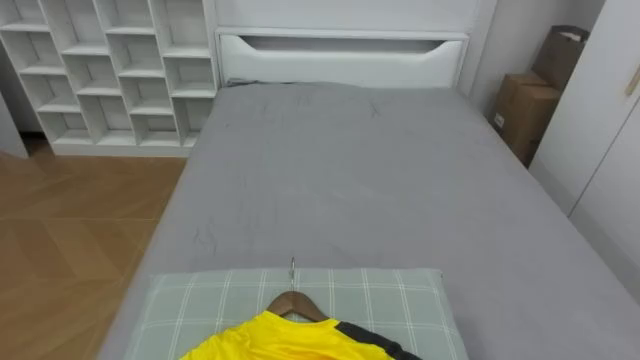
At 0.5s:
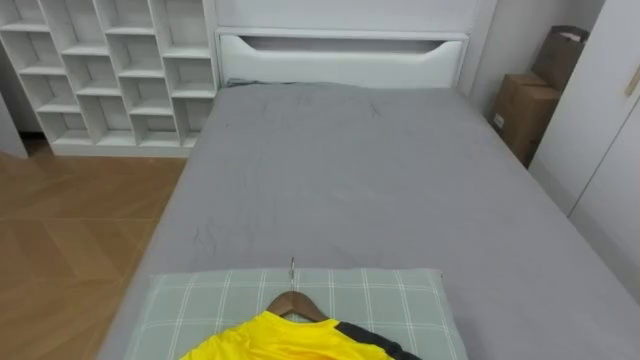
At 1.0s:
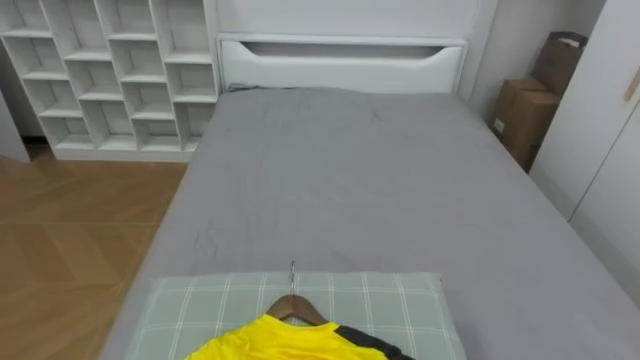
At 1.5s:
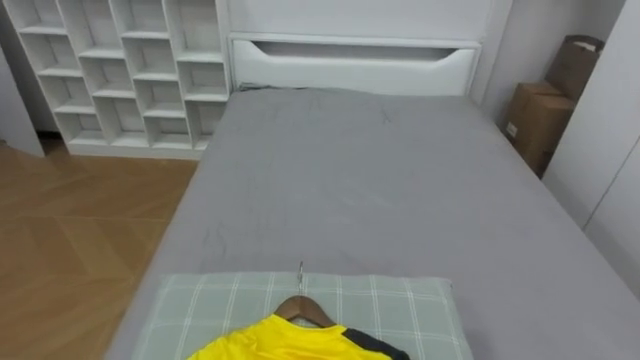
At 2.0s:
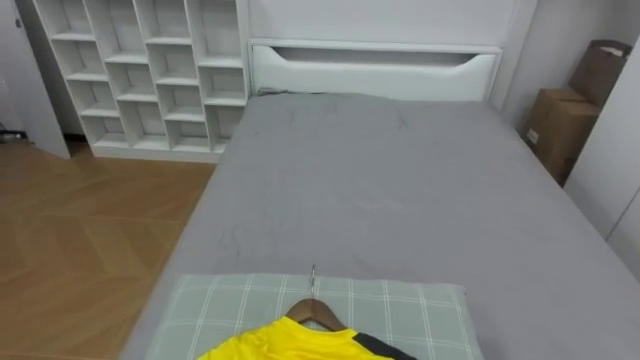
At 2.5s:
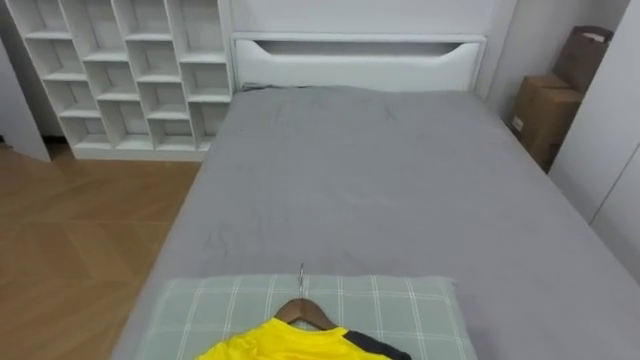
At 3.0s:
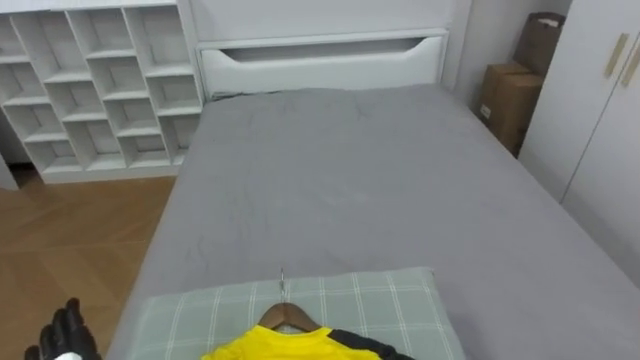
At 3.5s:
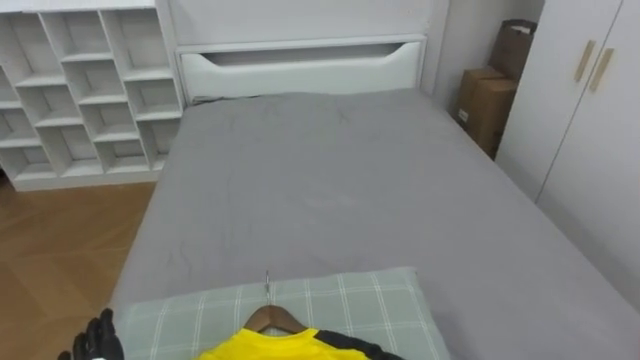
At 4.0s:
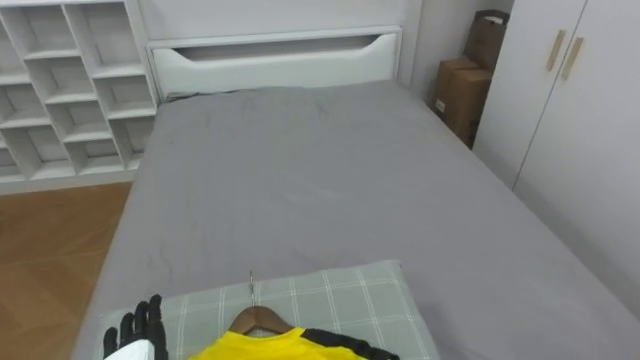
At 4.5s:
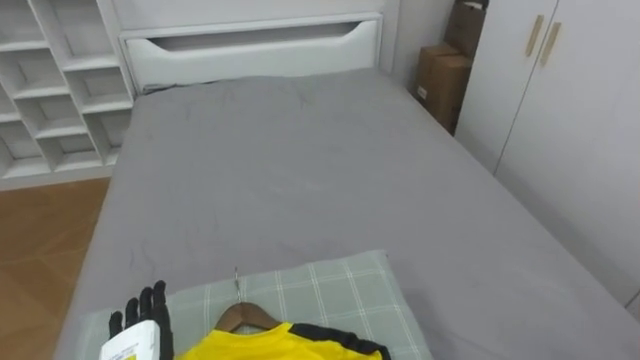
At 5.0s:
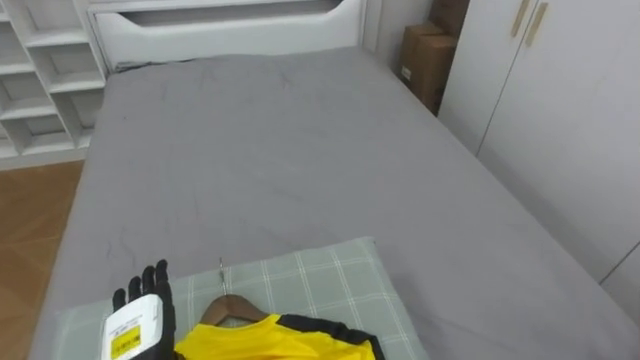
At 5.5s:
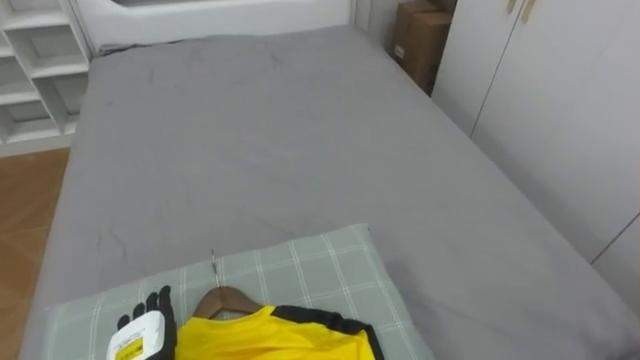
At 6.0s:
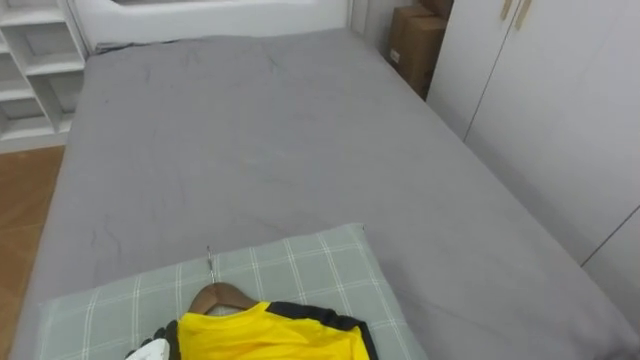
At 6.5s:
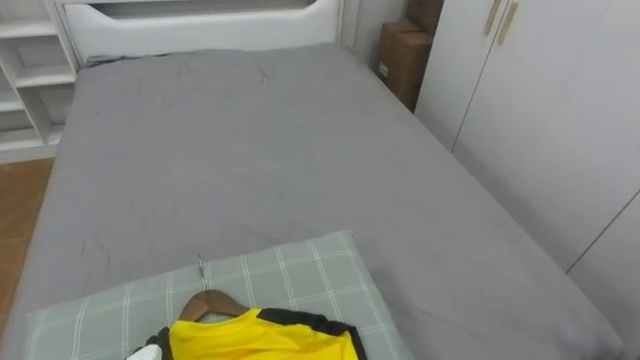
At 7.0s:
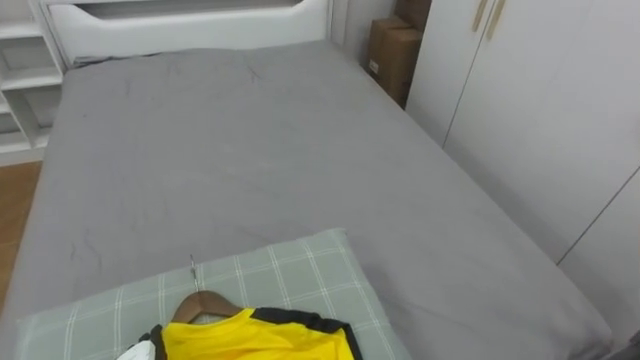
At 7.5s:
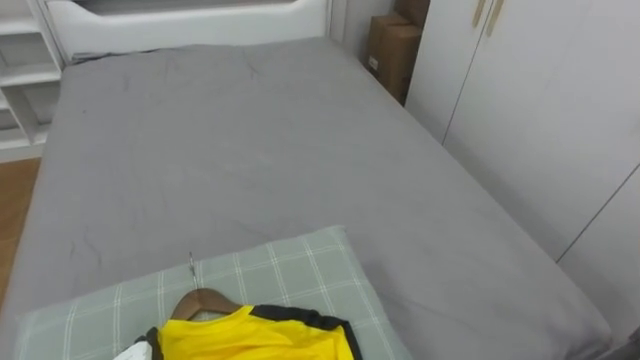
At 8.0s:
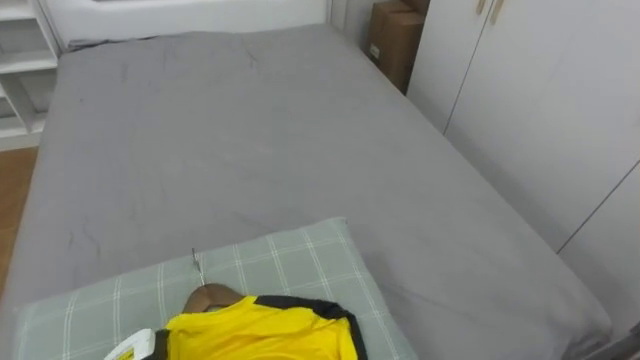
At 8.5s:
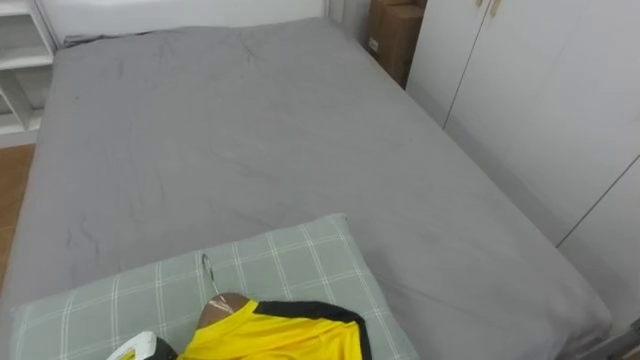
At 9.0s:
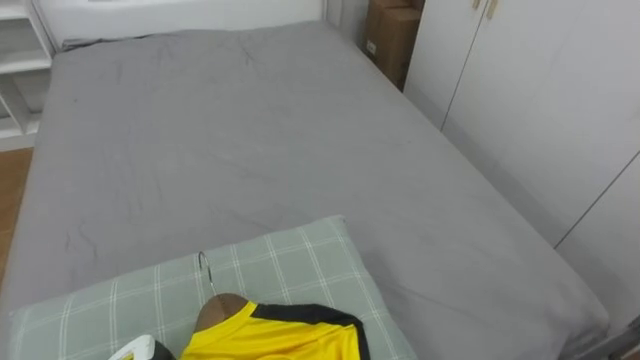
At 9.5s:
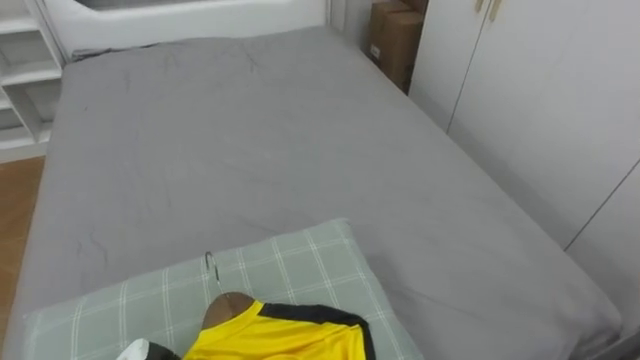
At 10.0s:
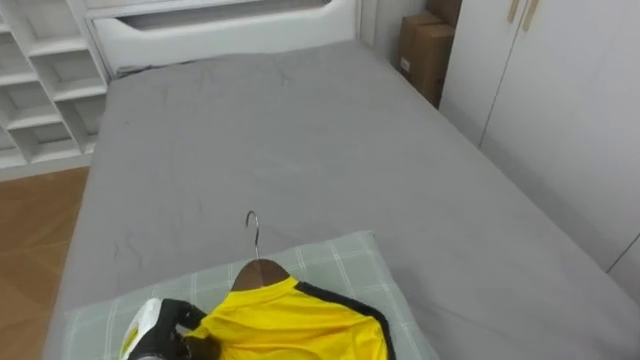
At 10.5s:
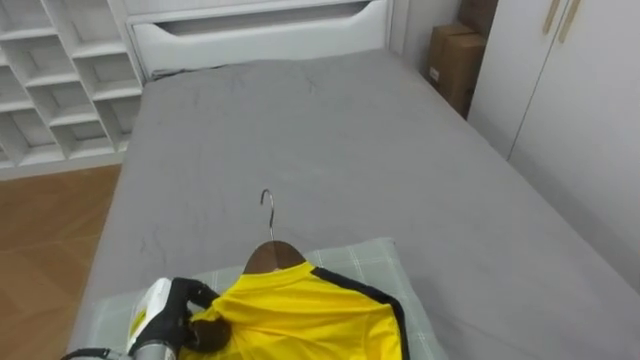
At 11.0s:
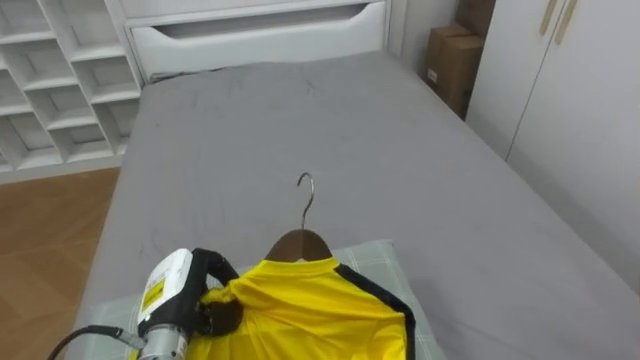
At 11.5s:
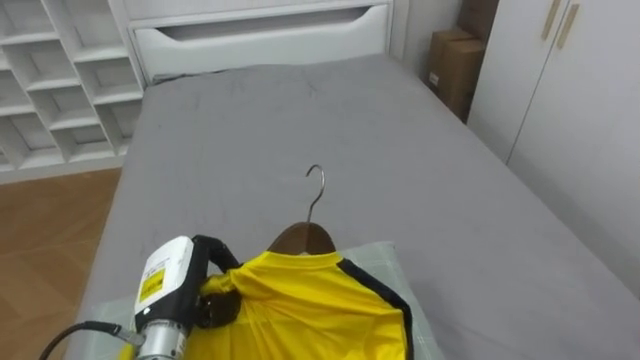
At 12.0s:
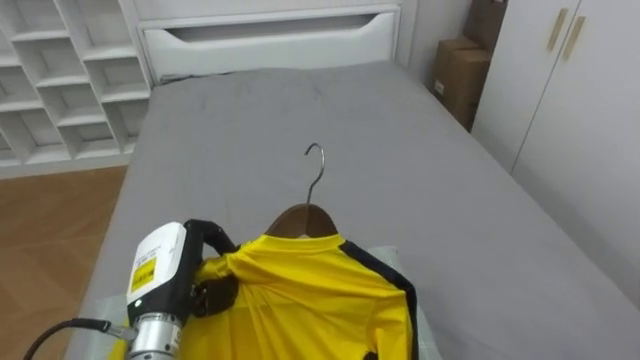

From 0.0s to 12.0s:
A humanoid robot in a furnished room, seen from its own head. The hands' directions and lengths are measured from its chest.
Task of the whole recording: Pick up the yellow shirt on the bed and hang it on the clothes rack on the right.
From 10.0s to 12.0s: The left hand shifts roughly 15 cm upward.

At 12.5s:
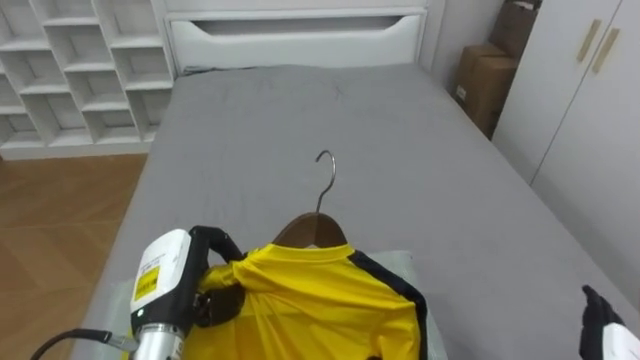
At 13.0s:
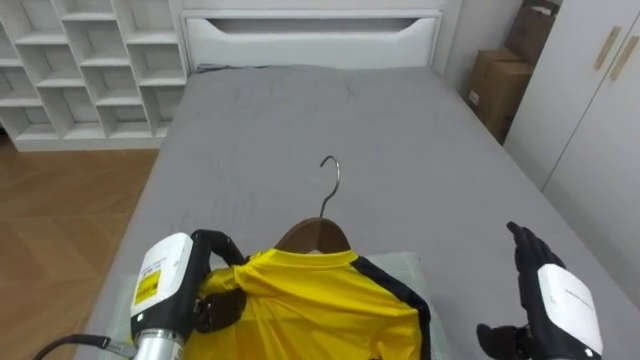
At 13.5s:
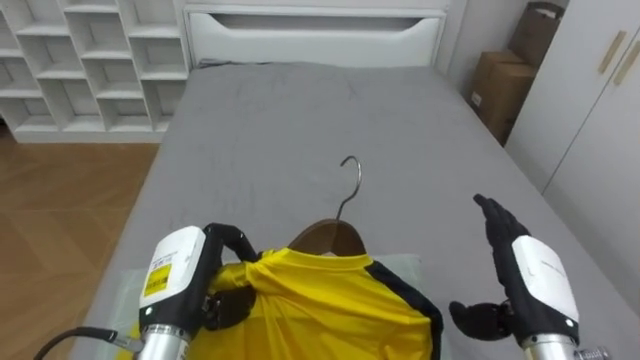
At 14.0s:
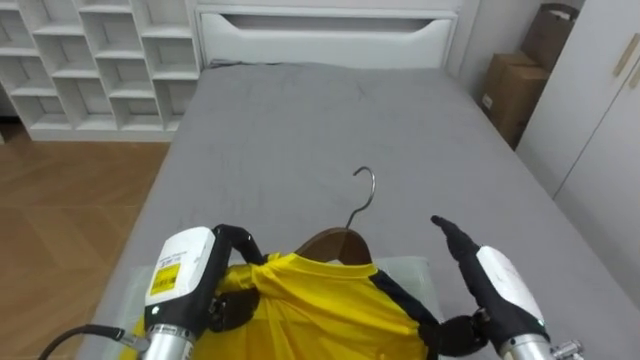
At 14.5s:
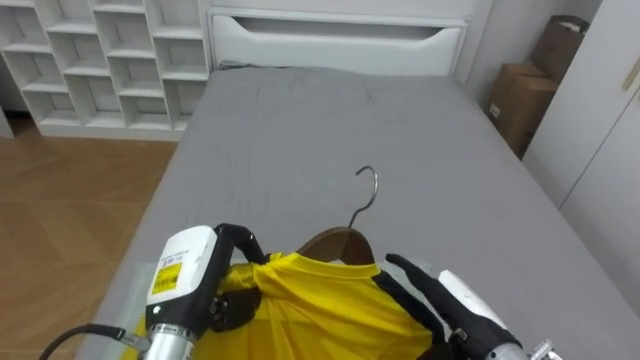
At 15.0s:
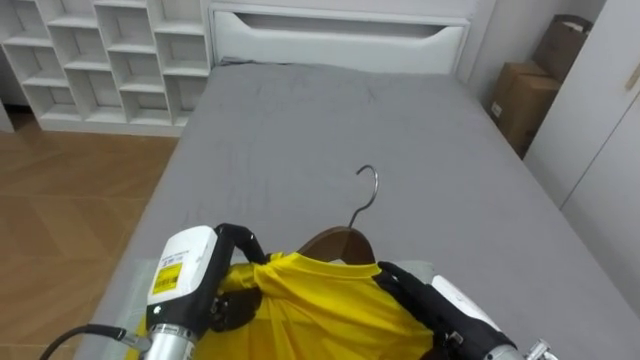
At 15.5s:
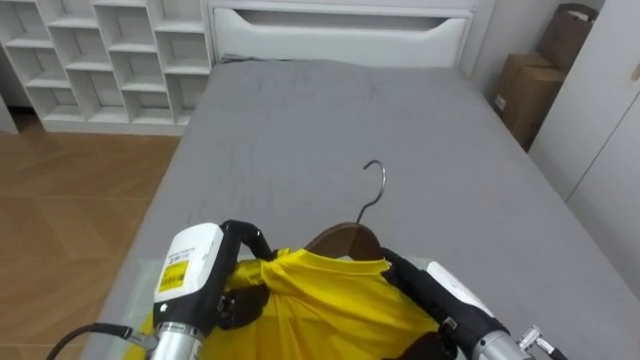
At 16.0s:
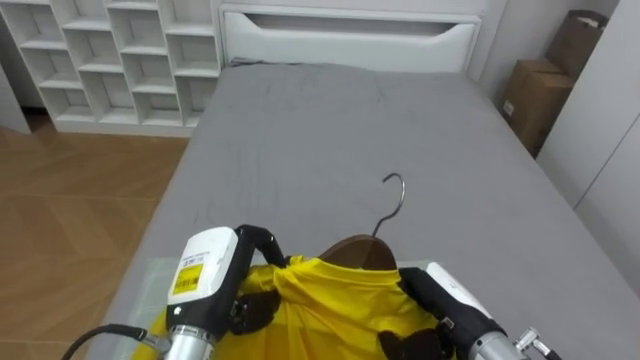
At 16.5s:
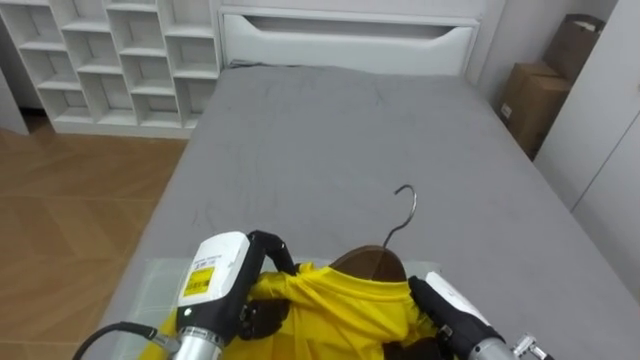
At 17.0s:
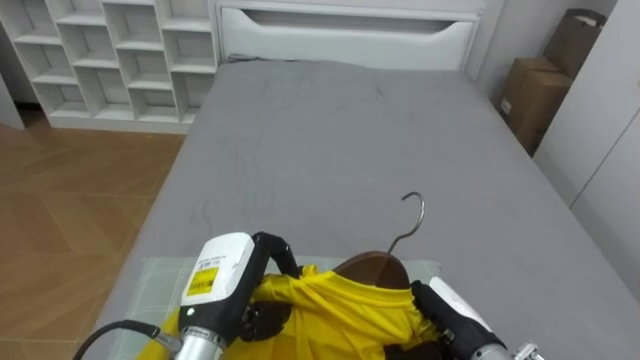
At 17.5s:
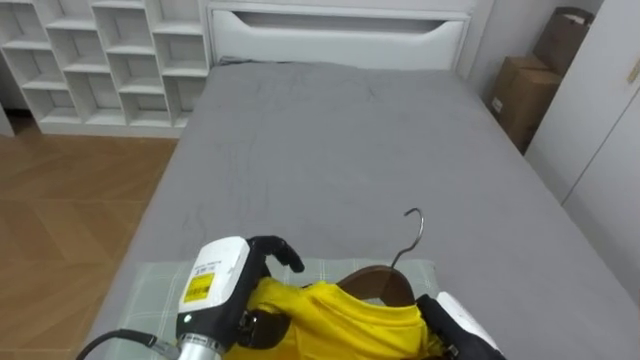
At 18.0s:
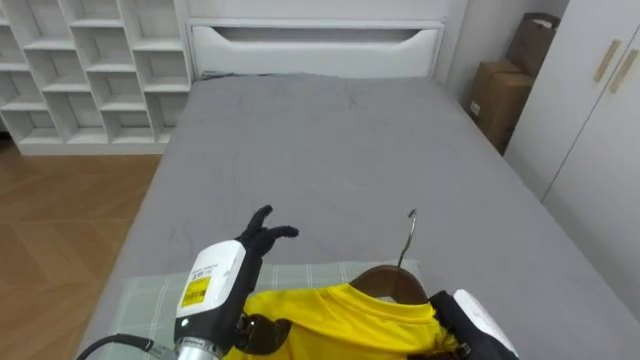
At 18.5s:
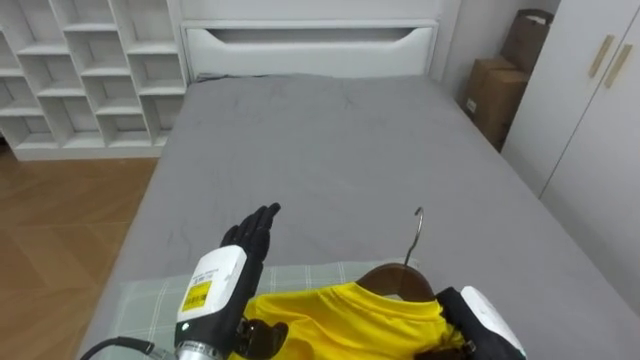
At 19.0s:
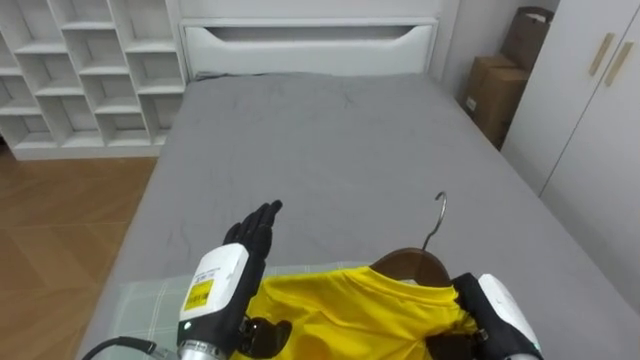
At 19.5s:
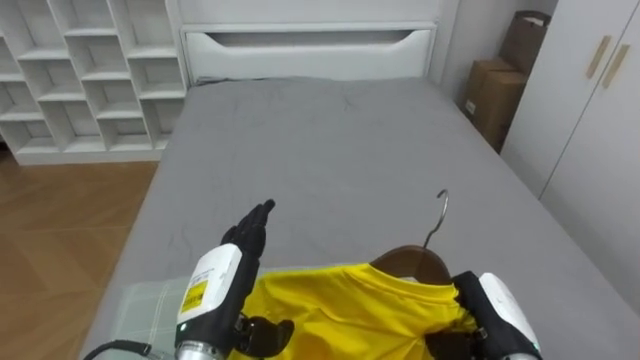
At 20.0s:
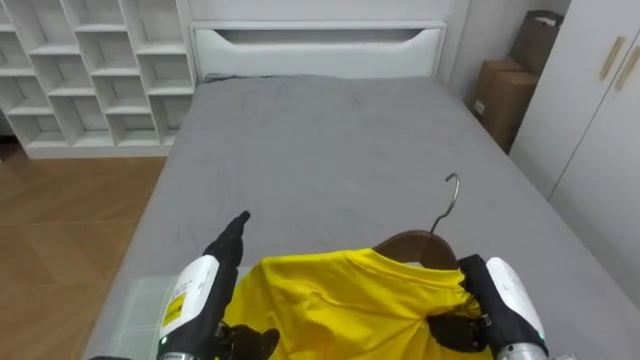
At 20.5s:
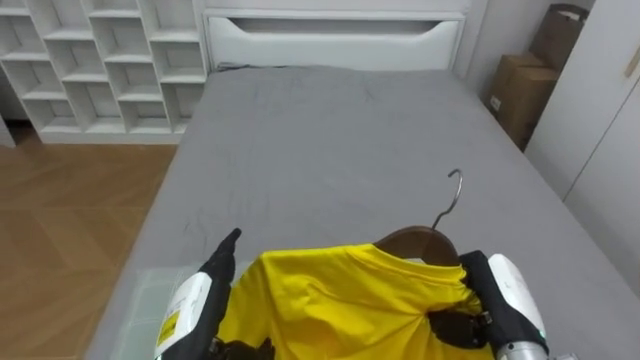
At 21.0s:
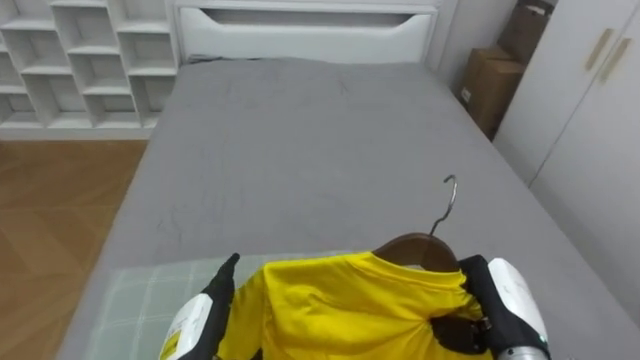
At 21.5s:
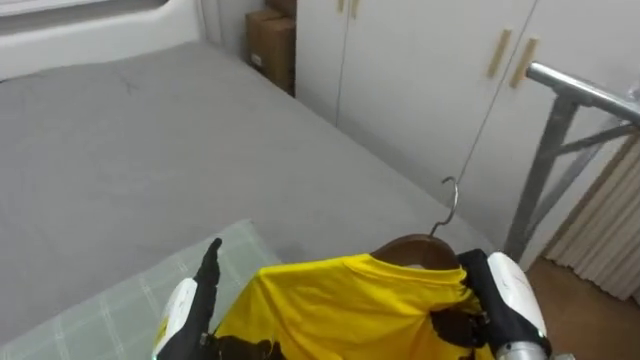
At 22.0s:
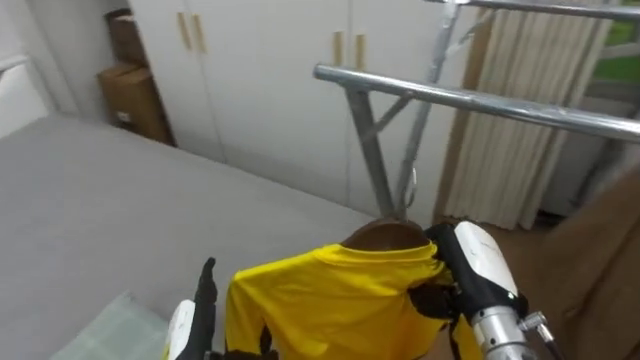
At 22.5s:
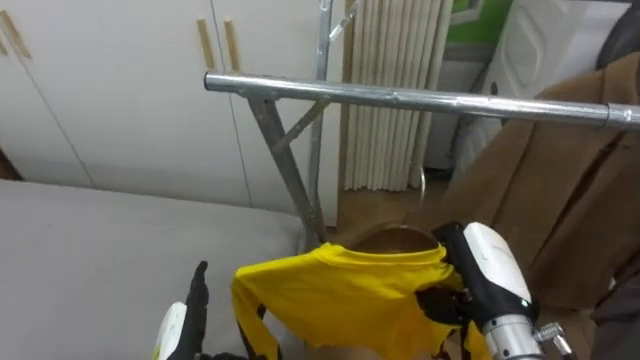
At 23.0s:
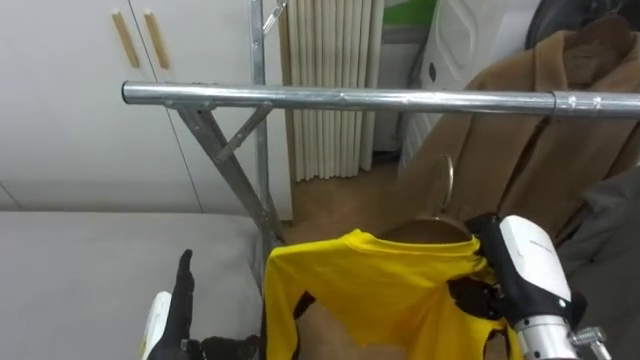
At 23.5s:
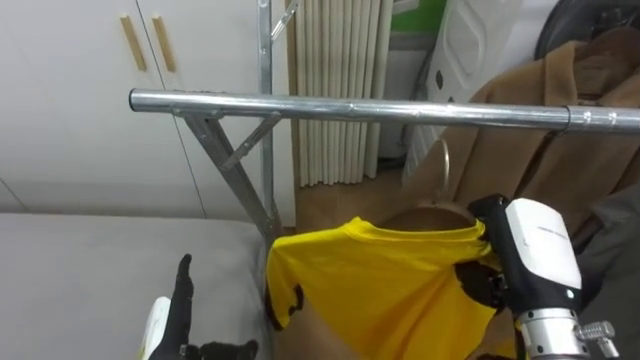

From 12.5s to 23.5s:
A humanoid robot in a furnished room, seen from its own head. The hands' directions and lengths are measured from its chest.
Task of the whole recording: Pick up the yellow shirt on the bed and hang it on the clothes rack on the right.
From 14.5s to 16.0s: The right hand closes its fingers.
From 16.0s to 18.0s: The right hand shifts by some 5 cm, and closes. The left hand opens.
From 18.0s to 20.0s: The right hand ends up approximately 5 cm from where it was.
From 20.0s to 21.5s: The robot faces approximately 40 degrees further to its right.
From 21.5s to 23.5s: The robot rotates approximately 50 degrees to its right. The right hand moves upward, some 10 cm.
